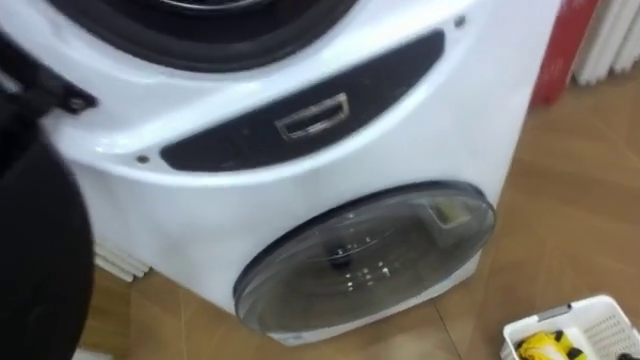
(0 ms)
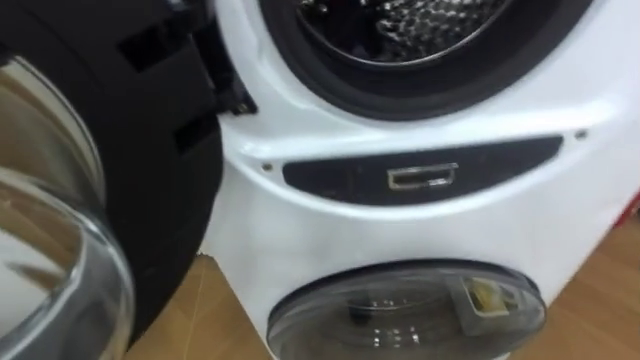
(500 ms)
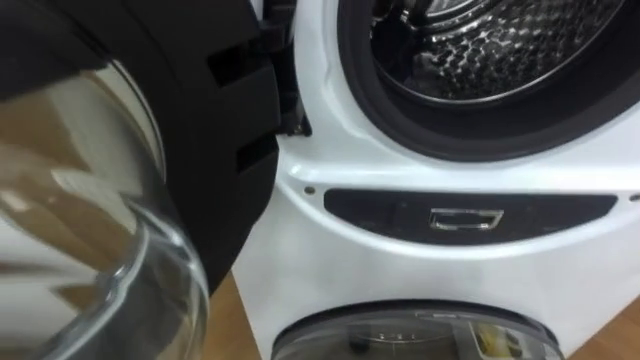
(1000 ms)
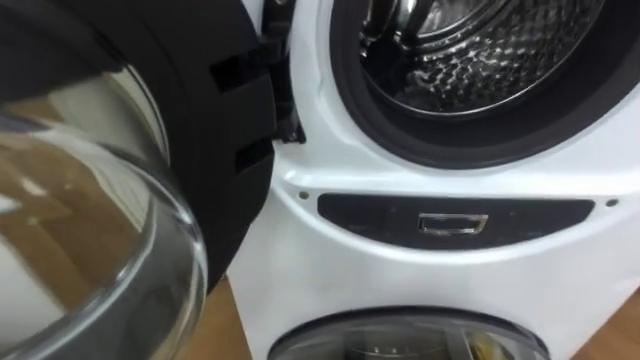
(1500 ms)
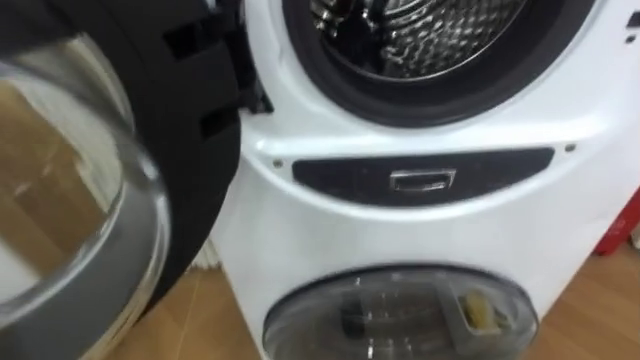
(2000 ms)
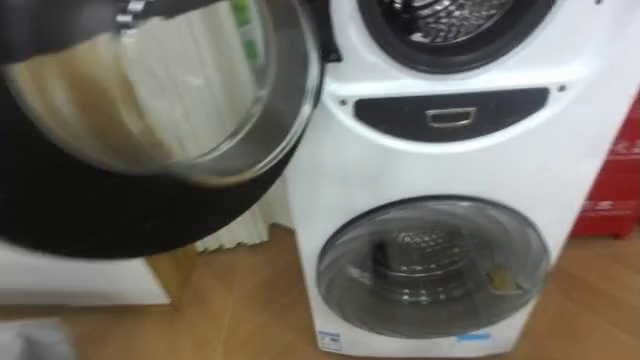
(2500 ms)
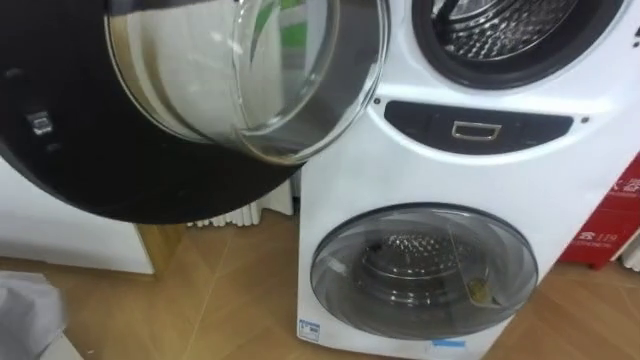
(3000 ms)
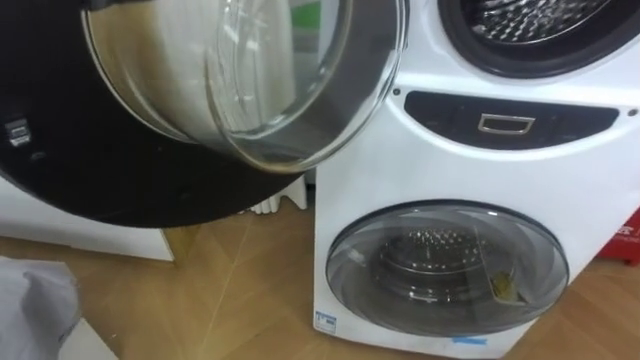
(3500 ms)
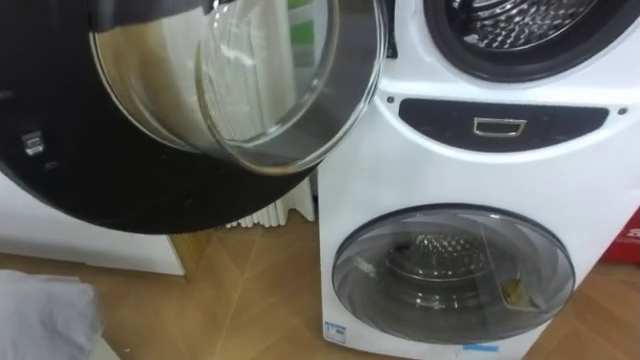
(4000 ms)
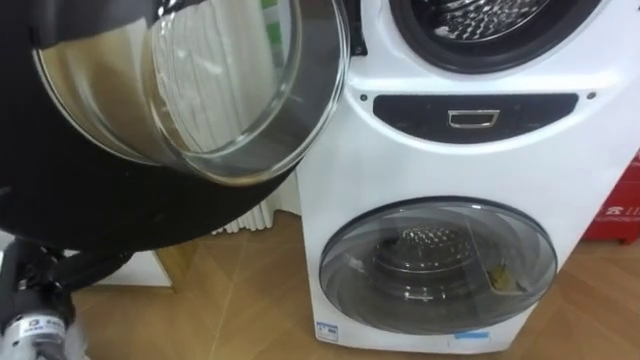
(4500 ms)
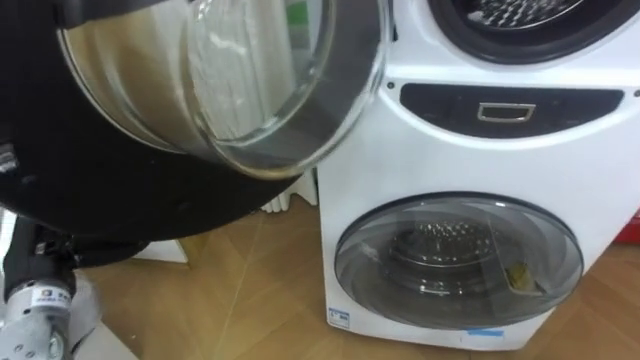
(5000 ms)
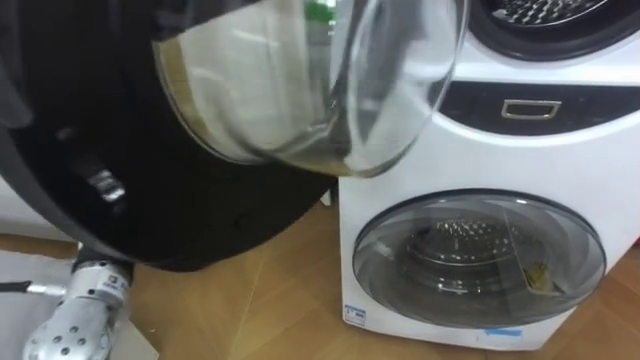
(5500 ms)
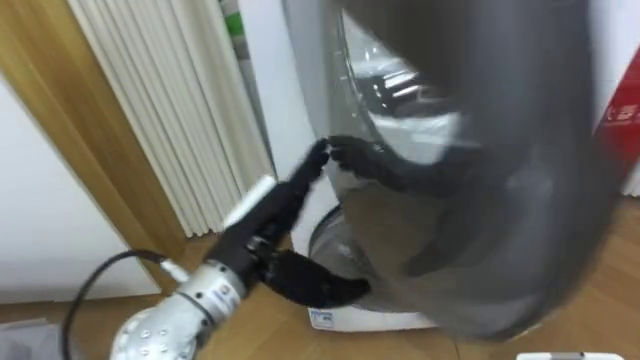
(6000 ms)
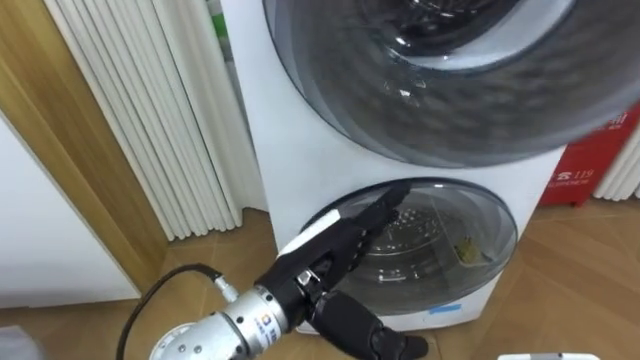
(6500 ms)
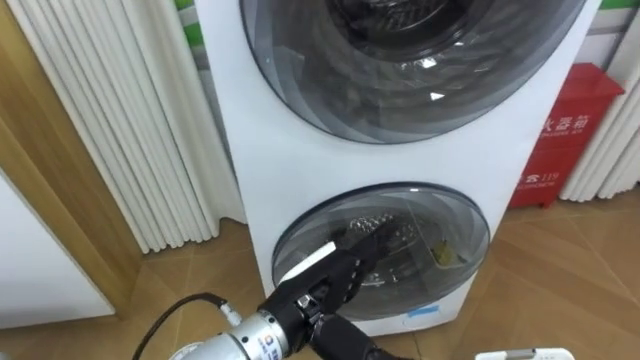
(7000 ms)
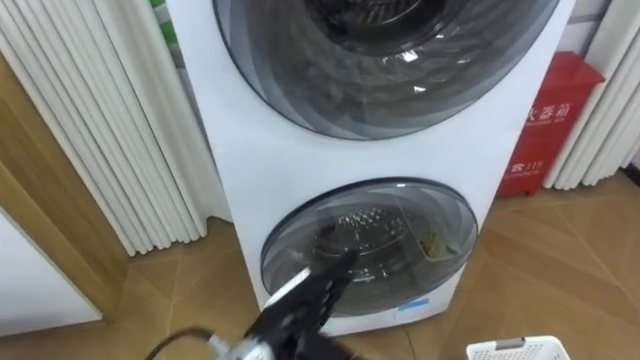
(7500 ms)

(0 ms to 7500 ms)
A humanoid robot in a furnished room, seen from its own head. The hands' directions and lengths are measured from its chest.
Task of the whole recording: Open the washing machine door, take out the yellow clothes, place them in the box on the right, and close the washing machine door.
5500 ms - 7500 ms: The left hand shifts about 20 cm to the right and downward.

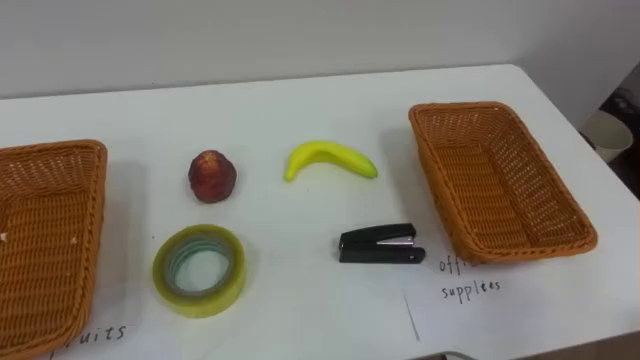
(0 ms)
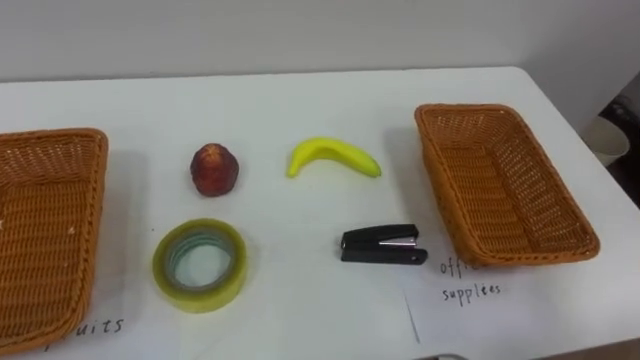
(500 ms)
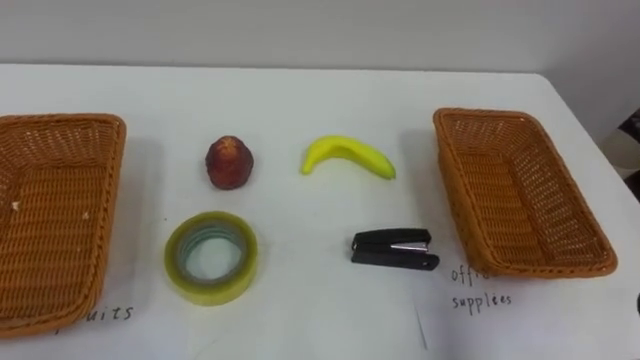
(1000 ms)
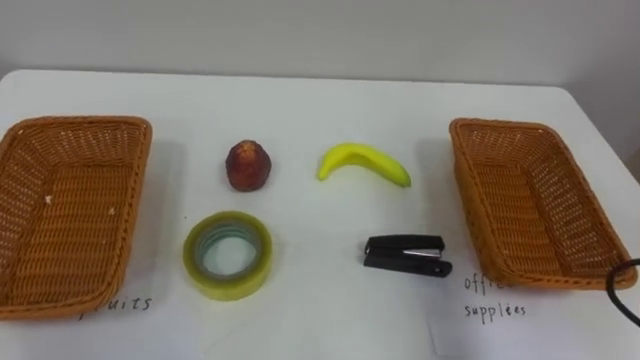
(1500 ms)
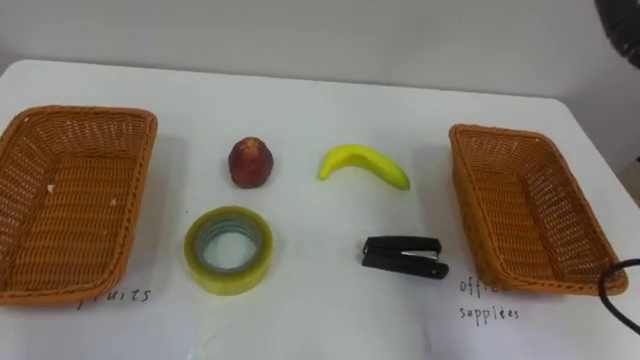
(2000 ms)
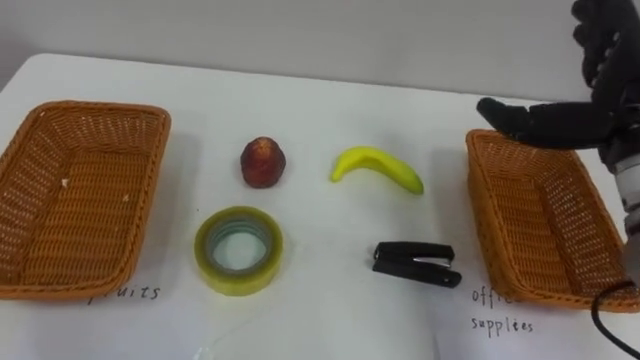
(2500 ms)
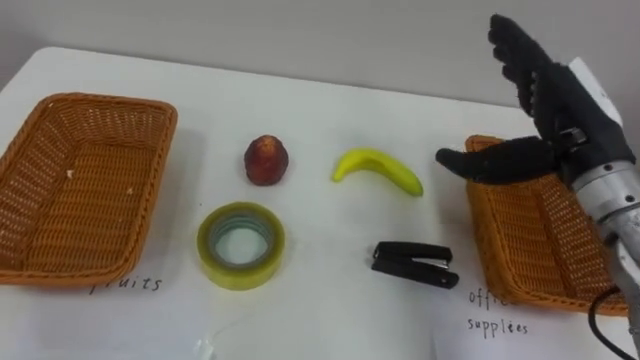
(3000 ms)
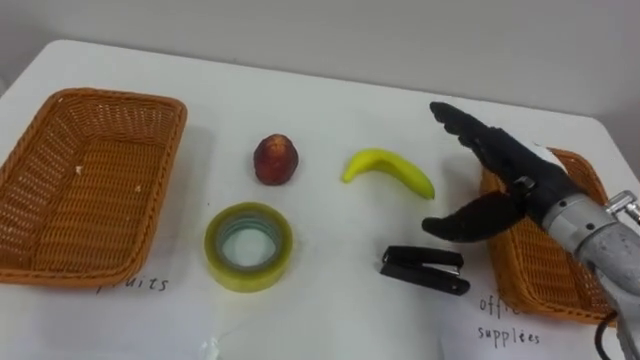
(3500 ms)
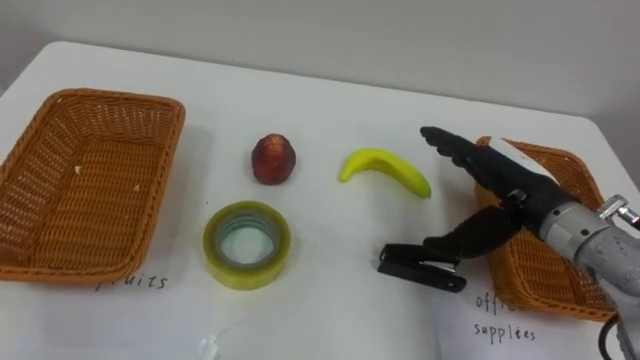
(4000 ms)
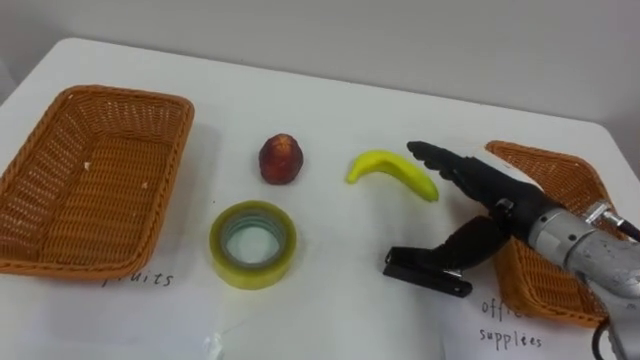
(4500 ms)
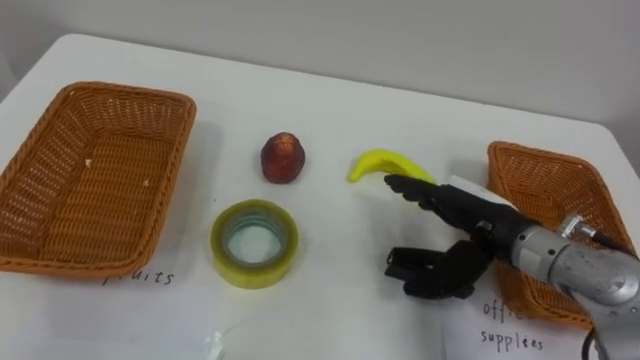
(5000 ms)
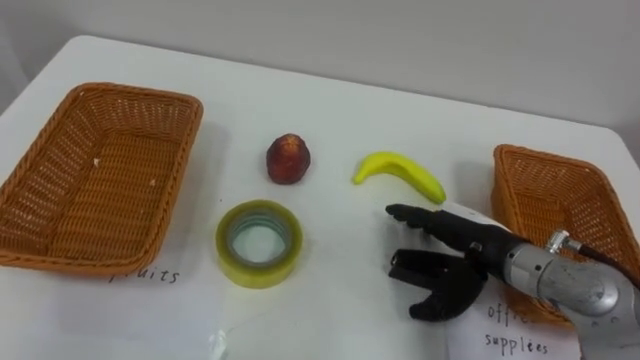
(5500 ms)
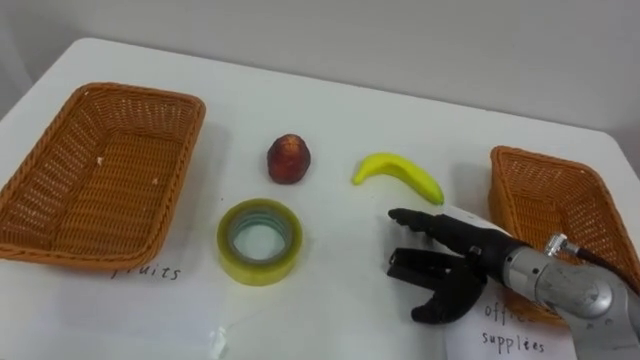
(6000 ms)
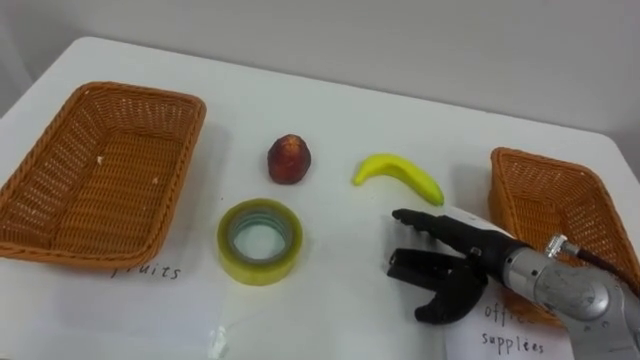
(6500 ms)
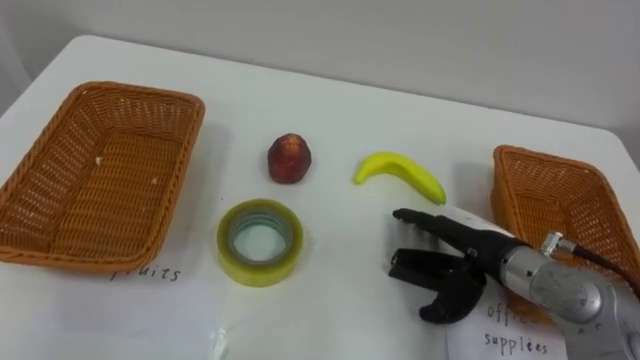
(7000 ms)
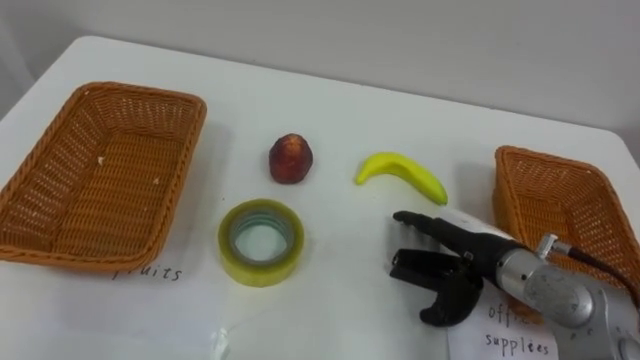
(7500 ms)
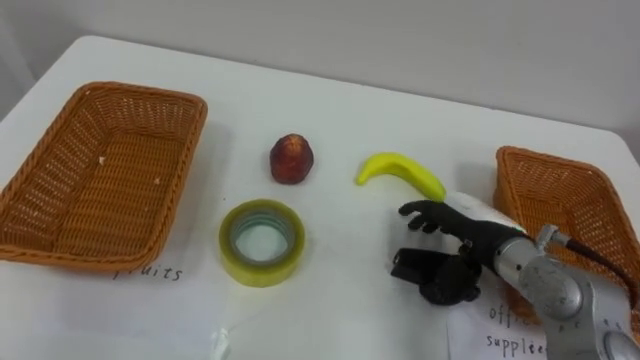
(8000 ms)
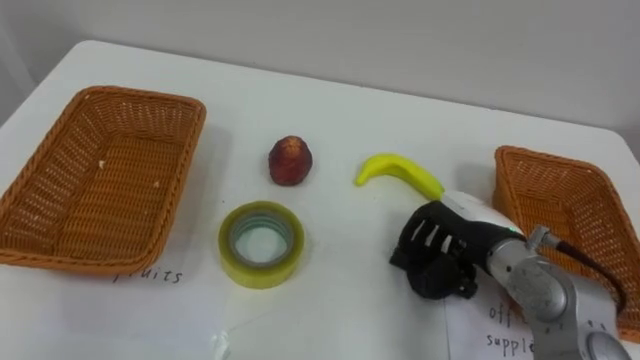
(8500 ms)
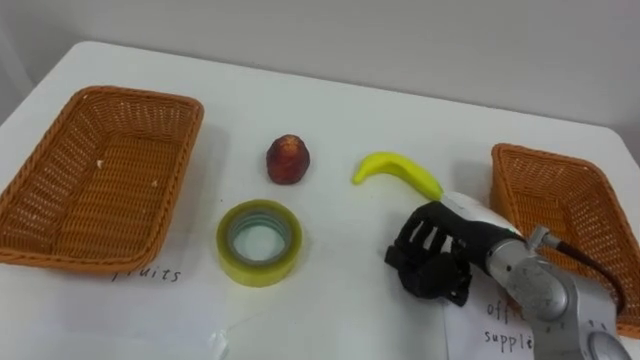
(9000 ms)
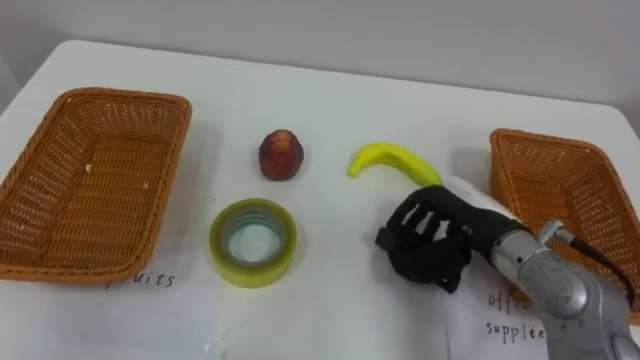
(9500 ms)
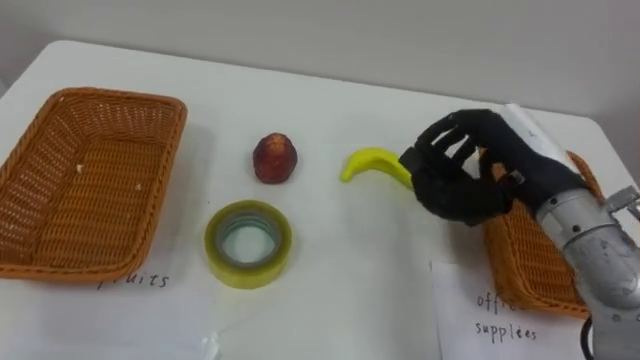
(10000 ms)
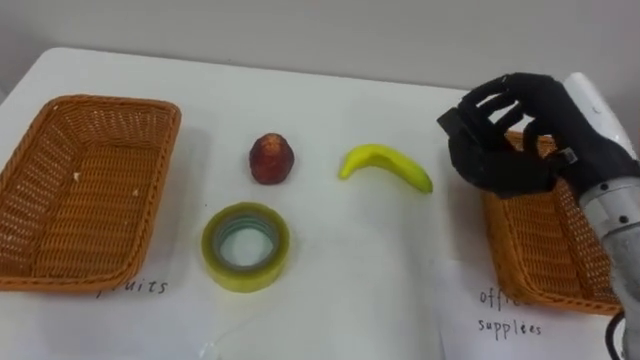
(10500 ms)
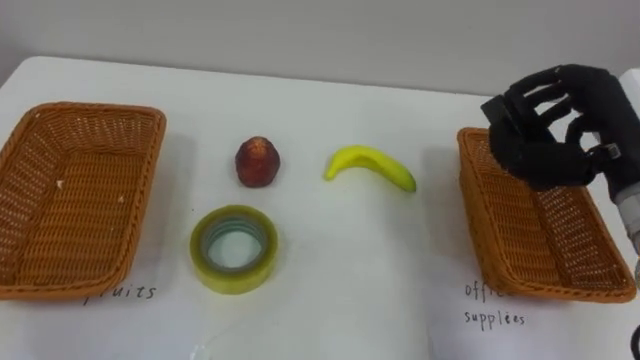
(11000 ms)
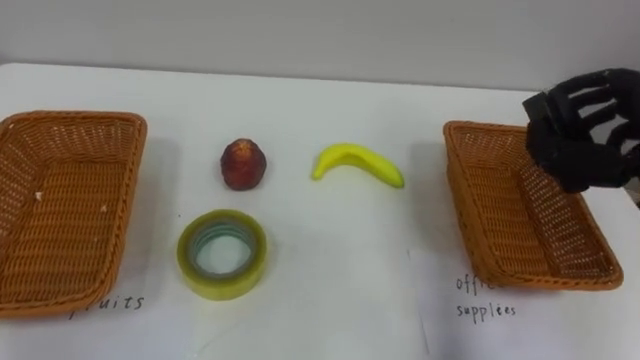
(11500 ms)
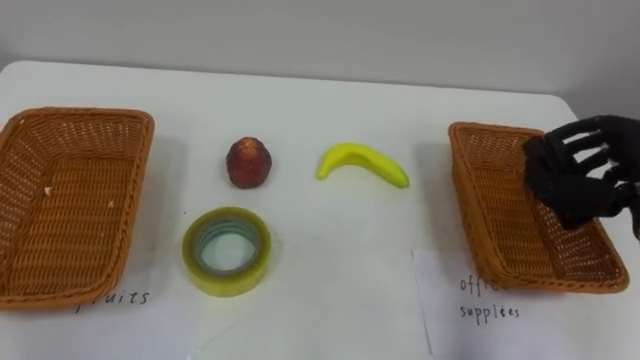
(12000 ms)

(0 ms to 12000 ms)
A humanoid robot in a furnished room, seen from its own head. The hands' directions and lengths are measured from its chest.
Task of the whole recording: Separate the items on the table and place them into the two baskets.
4000 ms - 6000 ms: The right hand goes approximately 5 cm downward.
8000 ms - 10000 ms: The right hand goes about 10 cm upward, and closes up.

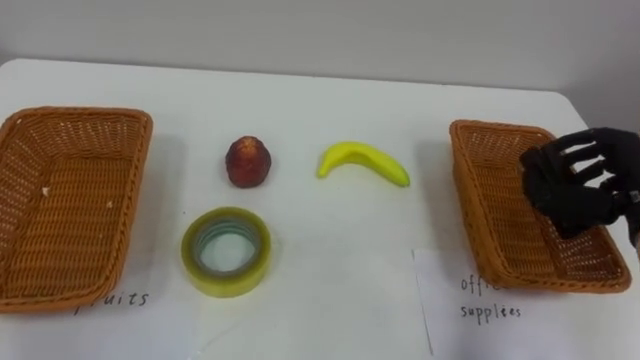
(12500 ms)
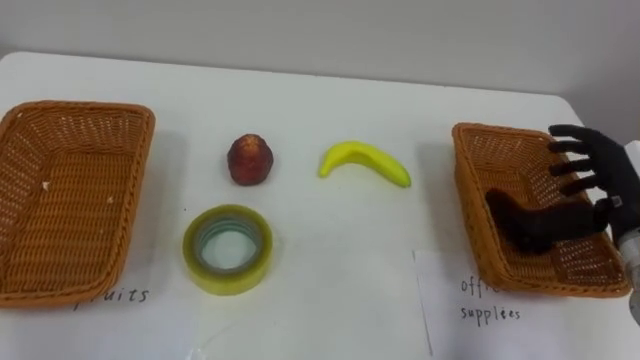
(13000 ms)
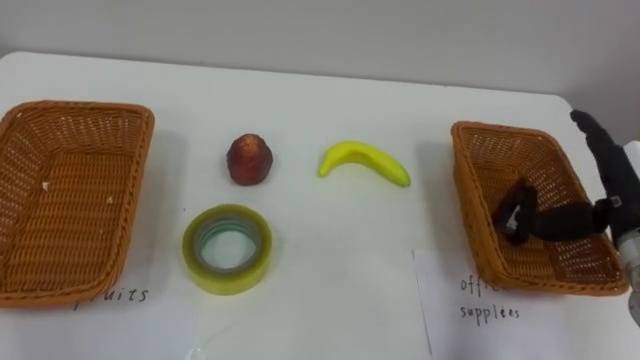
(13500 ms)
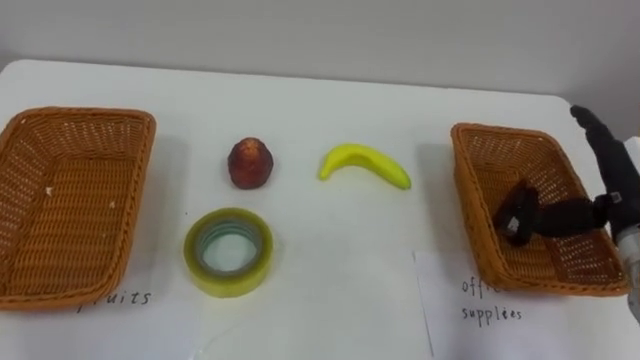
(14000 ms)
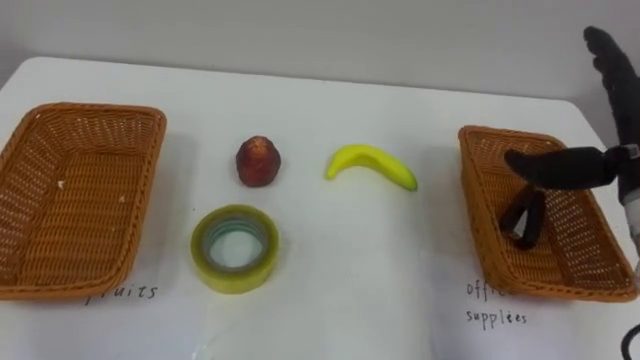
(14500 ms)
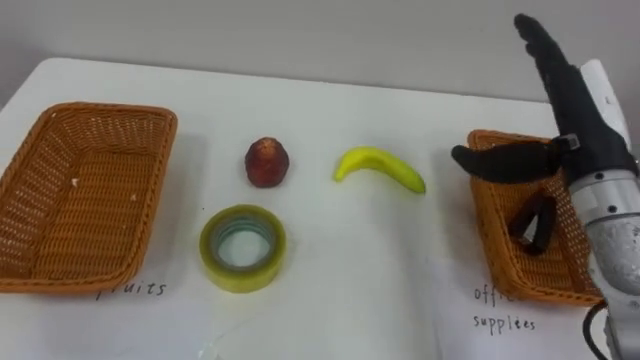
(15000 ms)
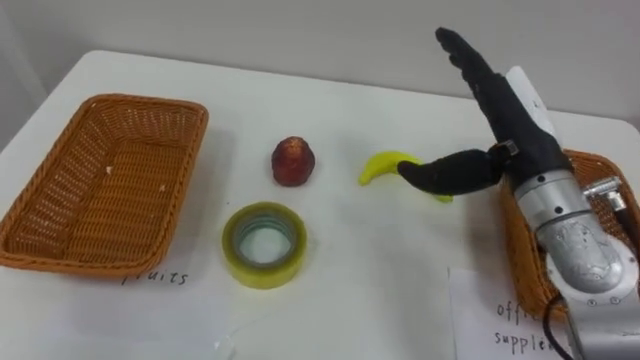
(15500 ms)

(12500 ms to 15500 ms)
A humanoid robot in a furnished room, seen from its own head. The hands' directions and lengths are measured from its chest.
Task of the whole recording: Separate the items on the table and place them into the two baskets.
12500 ms - 14000 ms: The right hand opens up.
14000 ms - 15500 ms: The right hand heads to the left and upward, covering about 15 cm.
